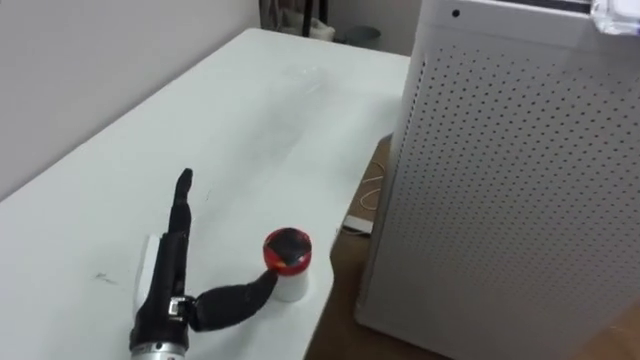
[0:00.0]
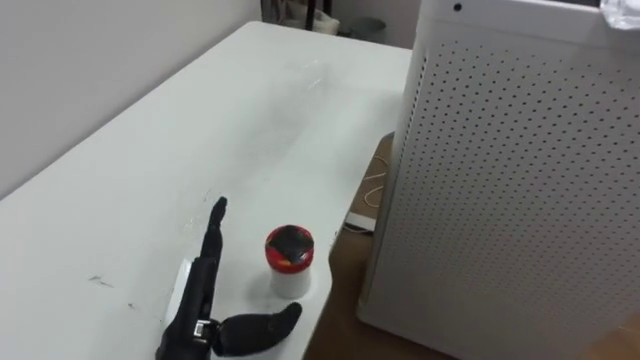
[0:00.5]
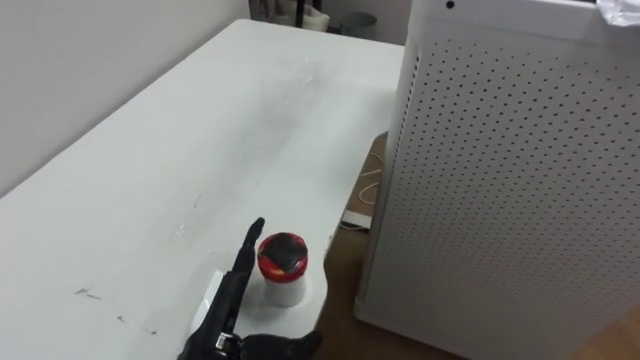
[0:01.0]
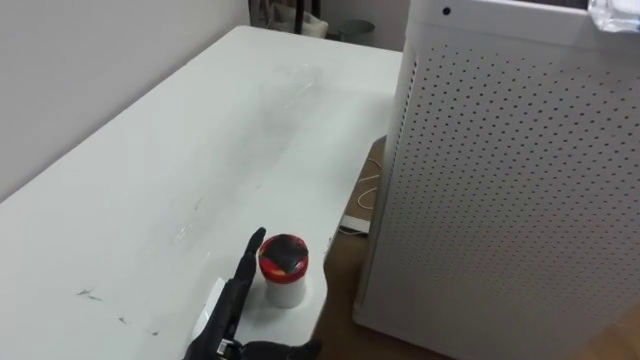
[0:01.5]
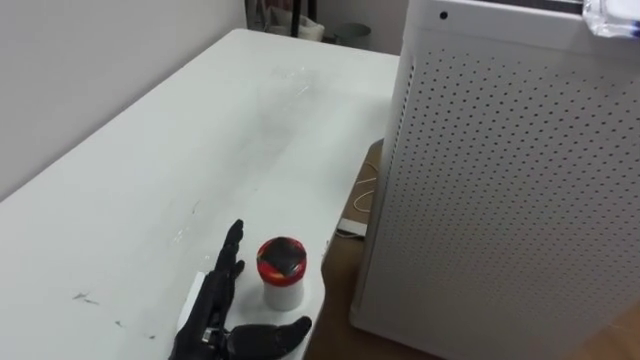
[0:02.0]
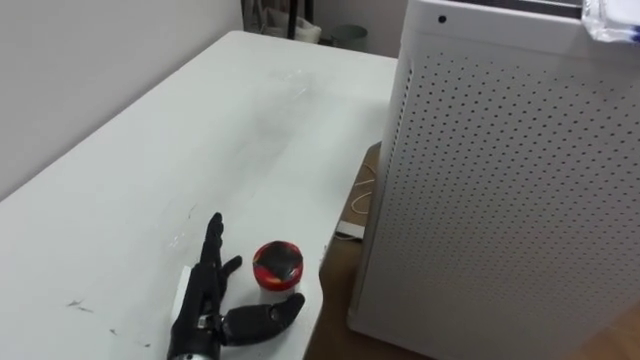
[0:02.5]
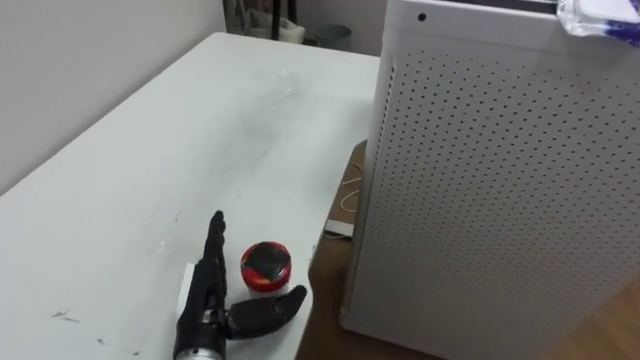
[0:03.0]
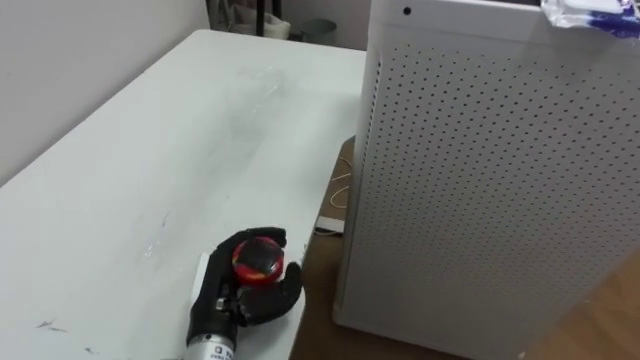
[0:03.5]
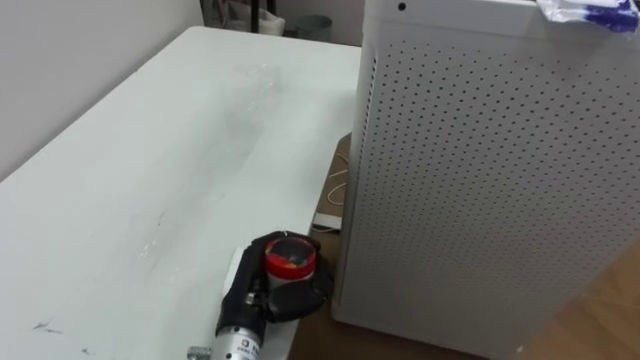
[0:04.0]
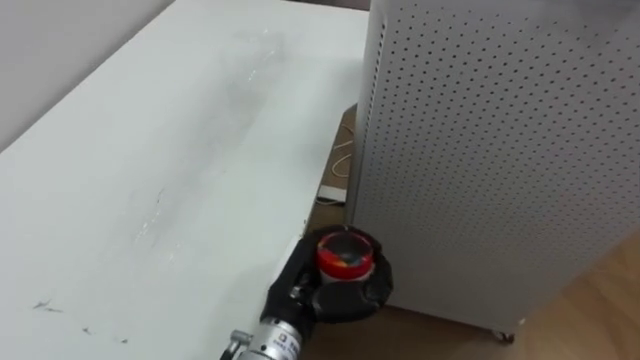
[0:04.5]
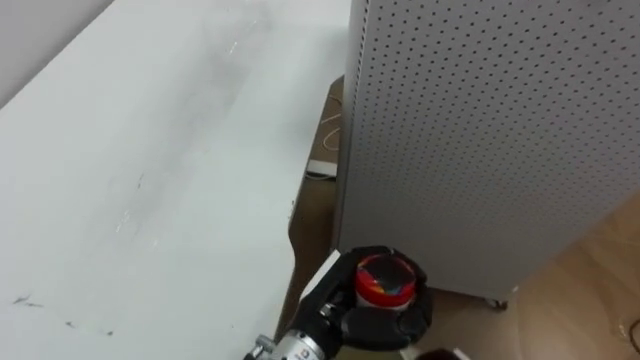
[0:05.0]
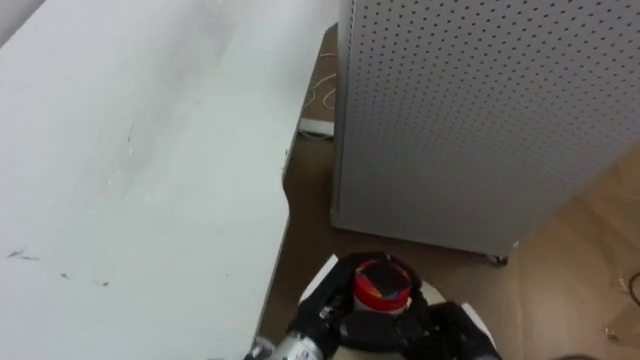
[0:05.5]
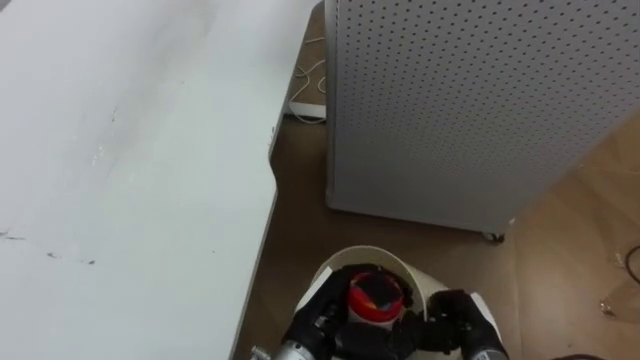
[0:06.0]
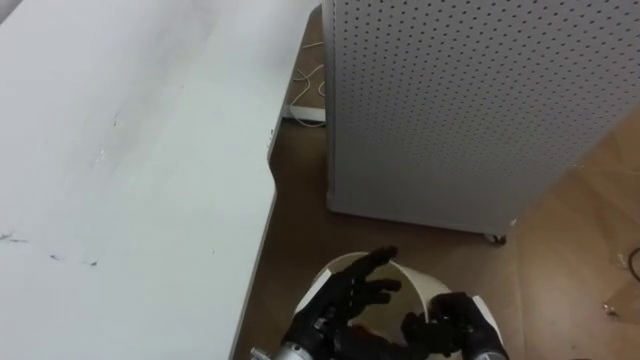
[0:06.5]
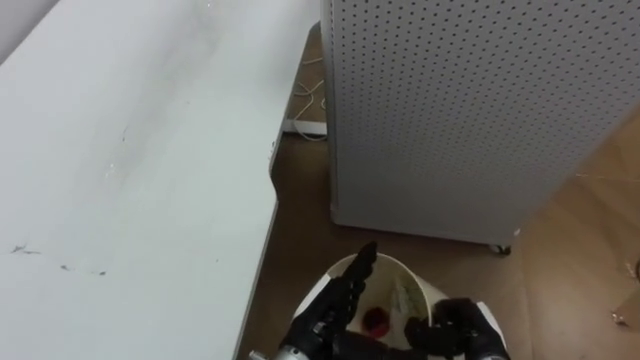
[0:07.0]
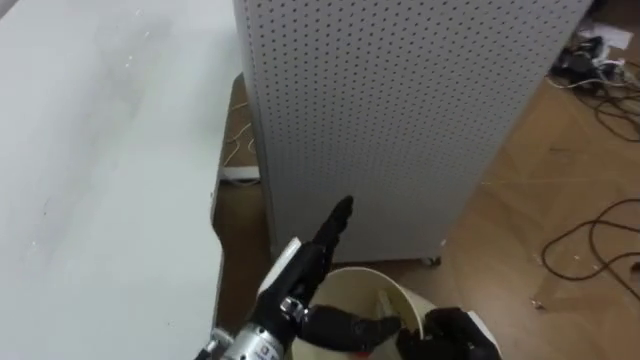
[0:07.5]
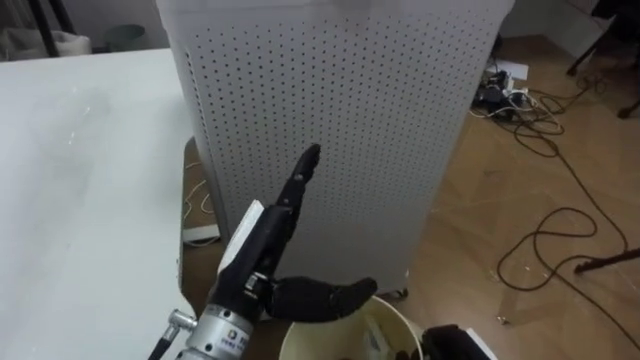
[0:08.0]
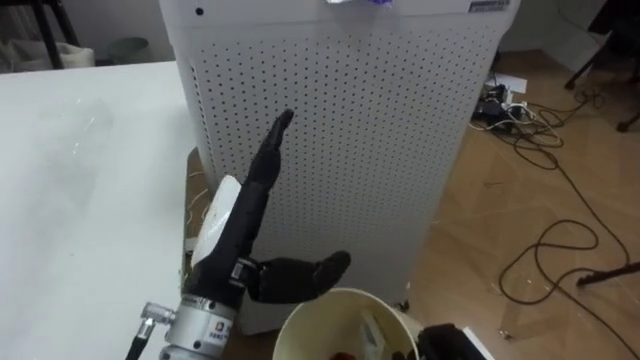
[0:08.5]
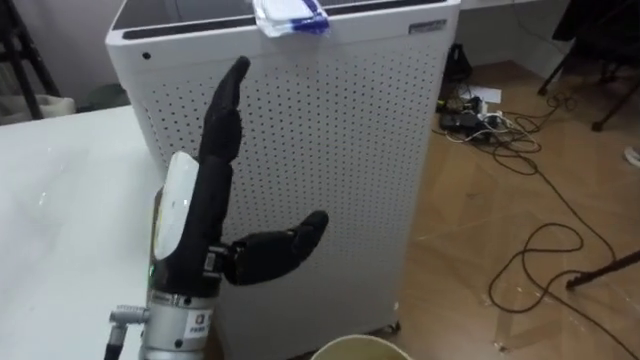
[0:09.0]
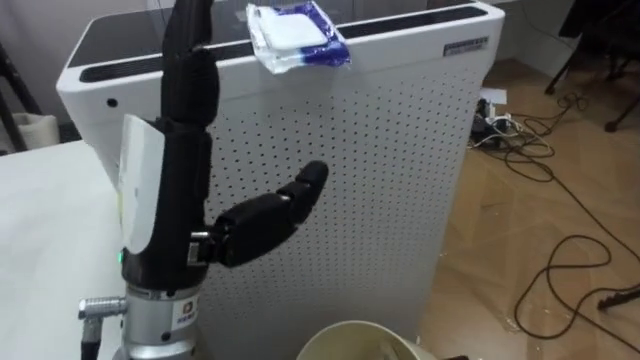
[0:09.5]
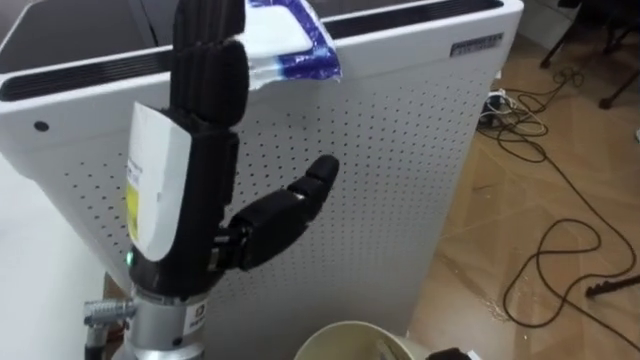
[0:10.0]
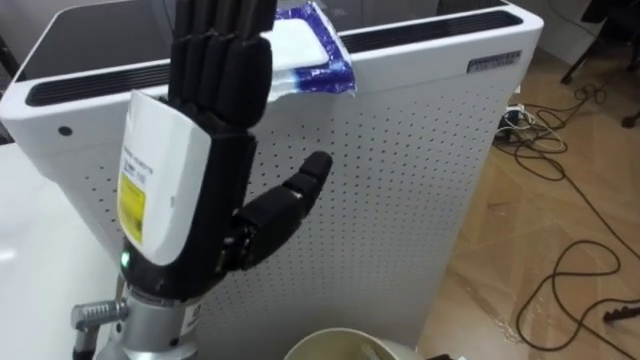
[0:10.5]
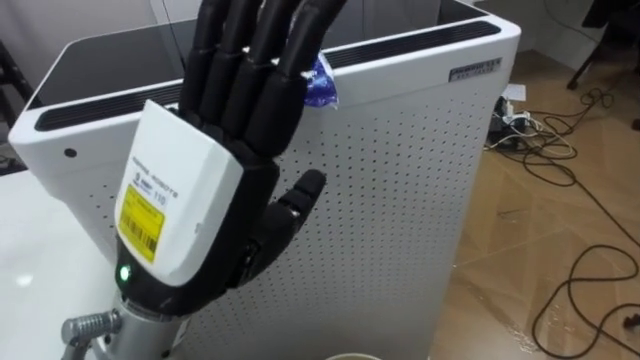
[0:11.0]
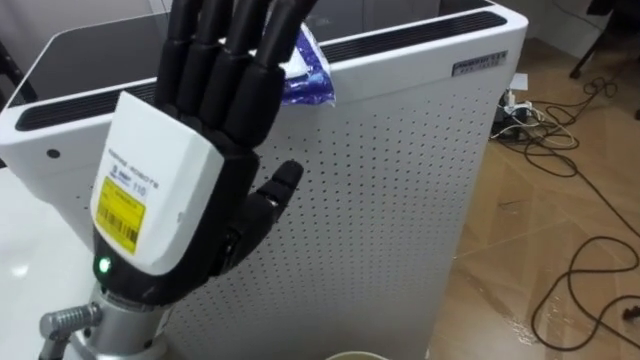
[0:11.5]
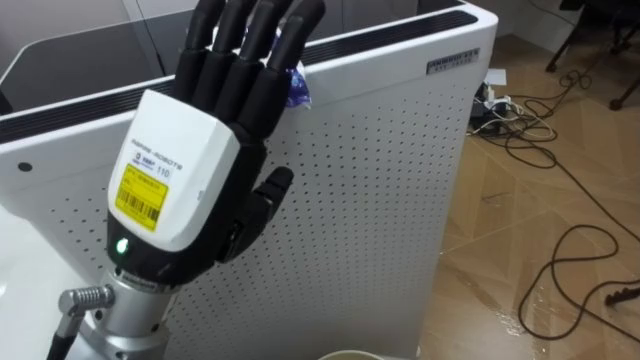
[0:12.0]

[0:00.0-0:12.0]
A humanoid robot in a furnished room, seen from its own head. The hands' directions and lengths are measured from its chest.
Task of the whole recording: Pick up the light blue package, the candy box, and the dark blue package separately, and put them into the trash can held in your right hand.
0:00.0 to 0:02.0: The left hand heads downward, covering about 5 cm.
0:02.0 to 0:04.0: The left hand shifts by some 5 cm, and closes its fingers.
0:04.0 to 0:06.0: The left hand heads to the right, covering about 10 cm.
0:06.0 to 0:08.0: The robot's body swings about 25 degrees to its right. The left hand is displaced upward and to the left by about 15 cm, and opens its fingers.
0:08.0 to 0:10.0: The left hand travels upward by some 15 cm.

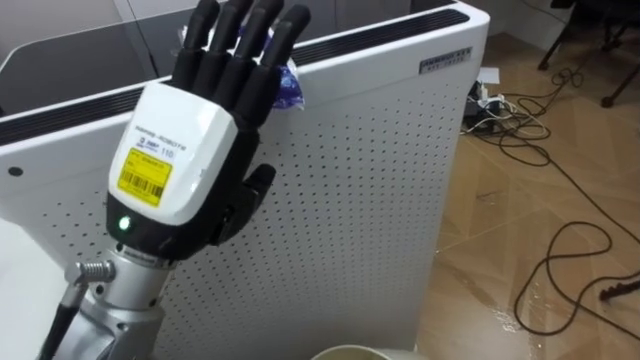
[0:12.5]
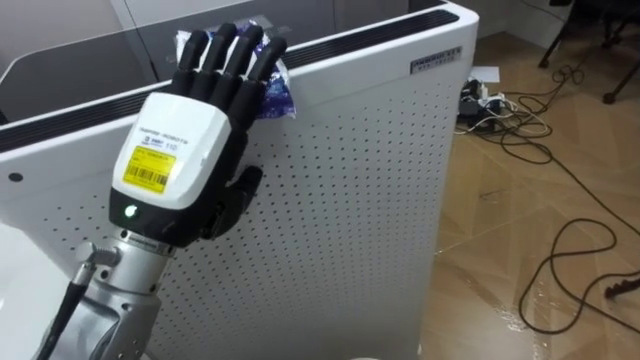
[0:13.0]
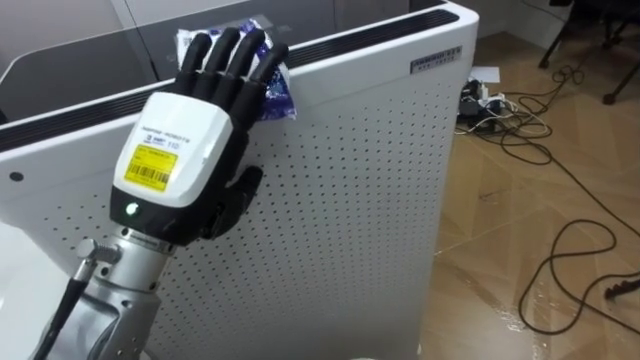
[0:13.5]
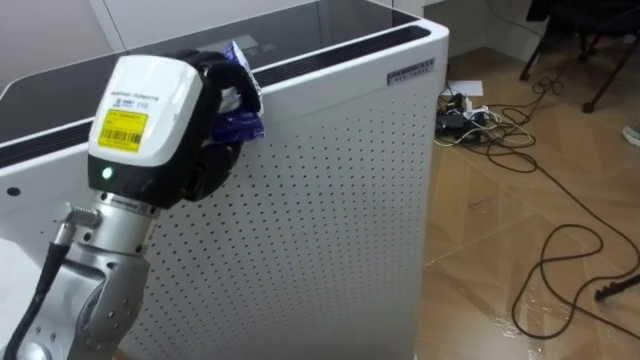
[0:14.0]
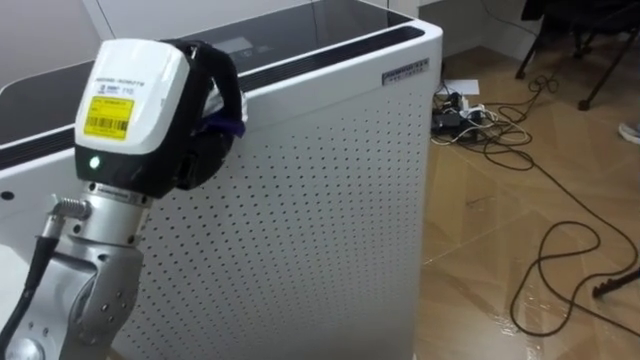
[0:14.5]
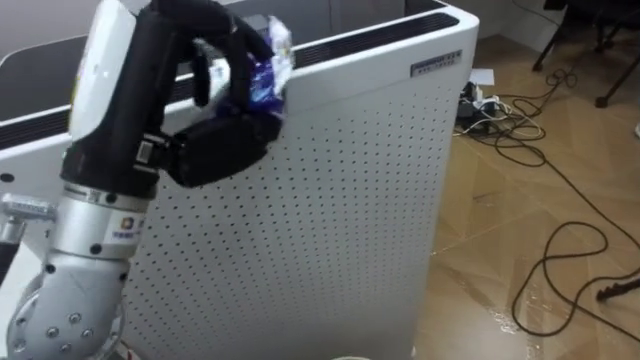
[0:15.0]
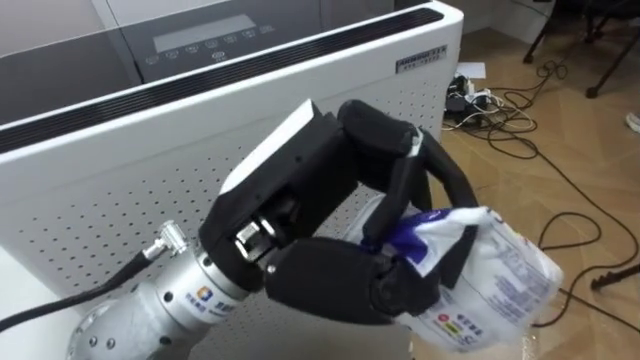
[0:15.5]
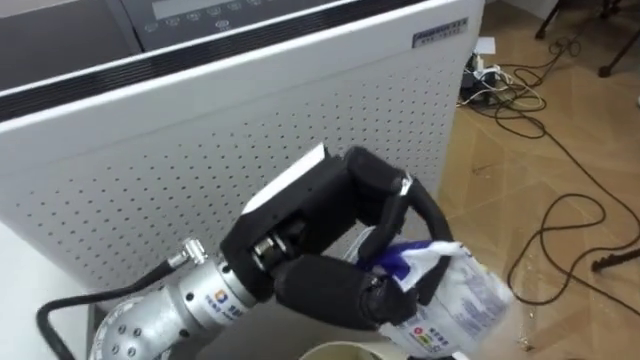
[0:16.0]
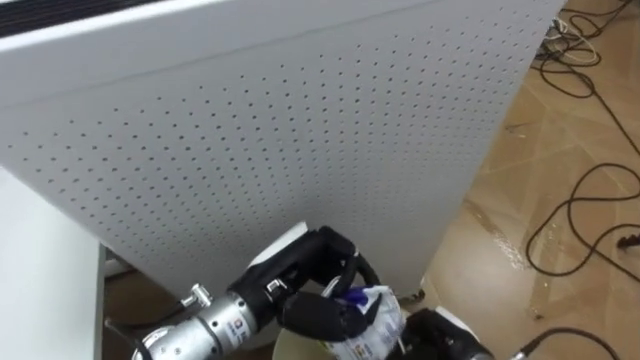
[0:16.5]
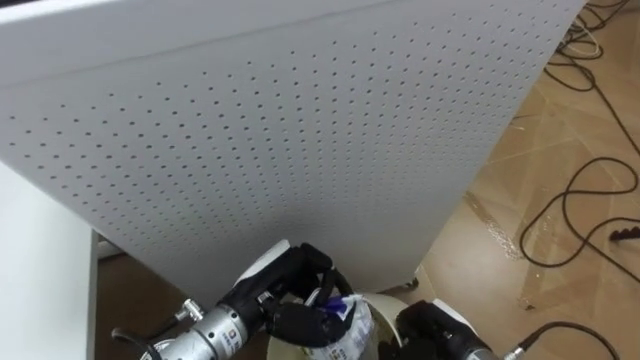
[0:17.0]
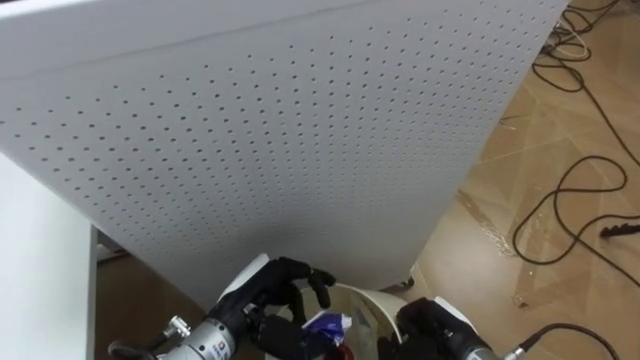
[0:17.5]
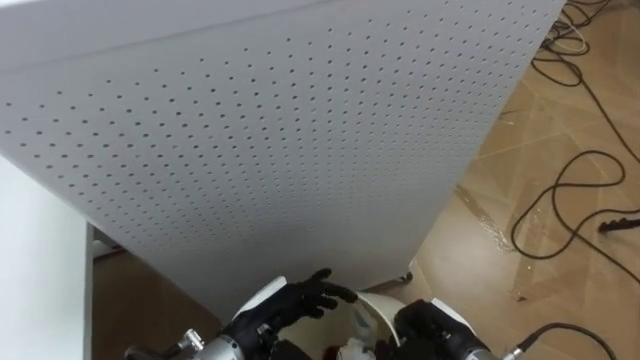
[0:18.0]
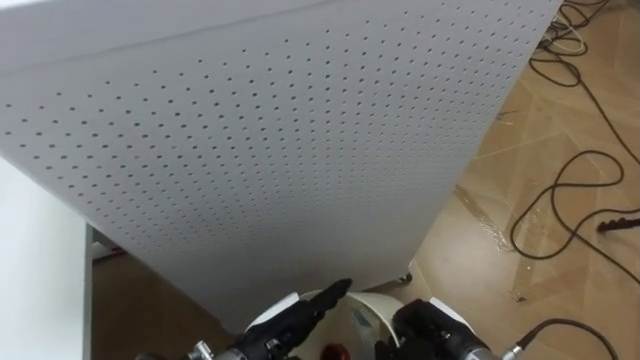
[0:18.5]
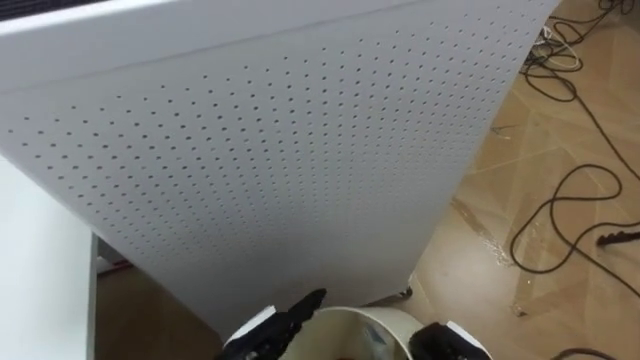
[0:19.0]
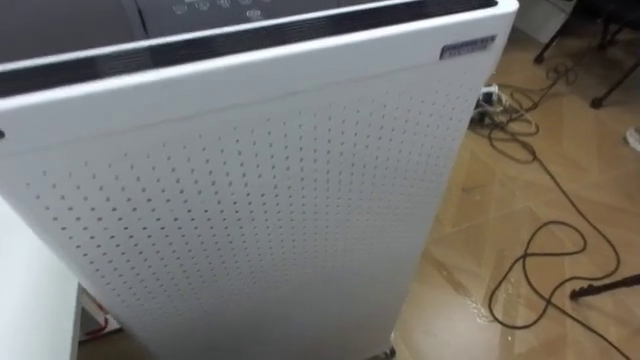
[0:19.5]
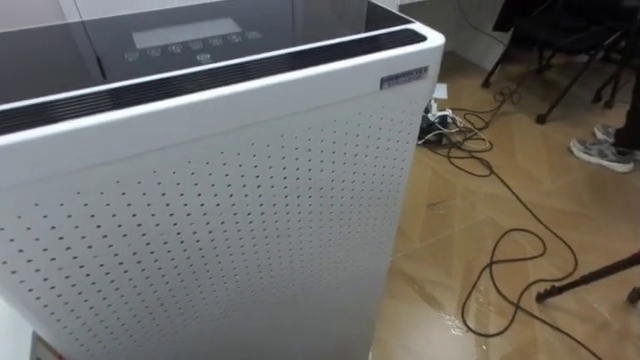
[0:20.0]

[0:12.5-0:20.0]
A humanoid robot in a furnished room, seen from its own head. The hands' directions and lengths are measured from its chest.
Task of the whole recording: Pick up the light blue package, the candy box, and the dark blue package separately, and put them into the trash can held in your right hand.
0:12.5 to 0:14.5: The left hand shifts by about 5 cm, and closes.
0:14.5 to 0:16.5: The left hand moves downward and to the right, some 20 cm.
0:16.5 to 0:18.0: The left hand shifts approximately 10 cm downward, and opens.
